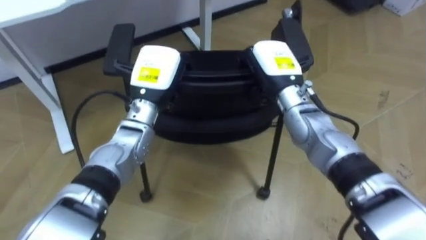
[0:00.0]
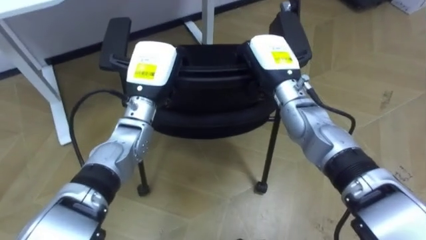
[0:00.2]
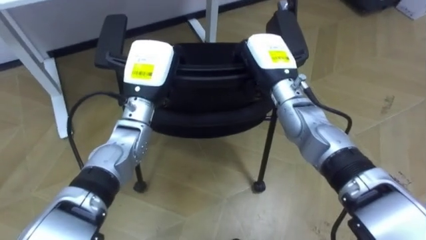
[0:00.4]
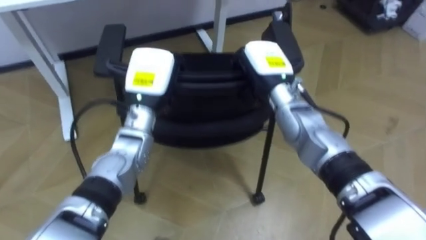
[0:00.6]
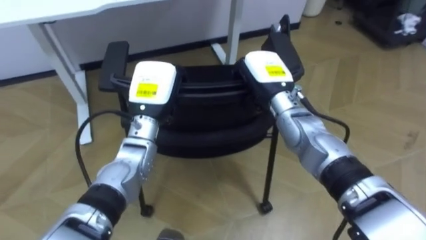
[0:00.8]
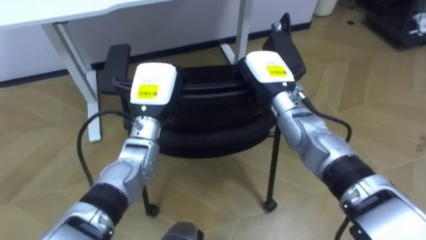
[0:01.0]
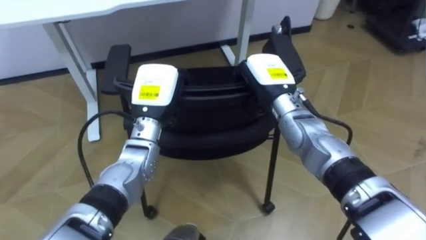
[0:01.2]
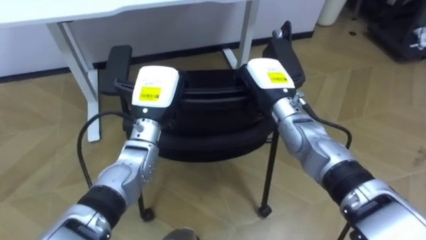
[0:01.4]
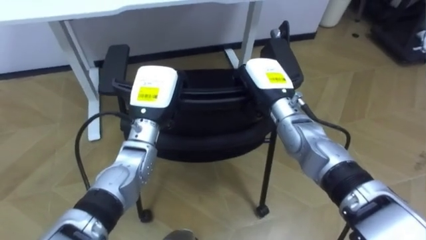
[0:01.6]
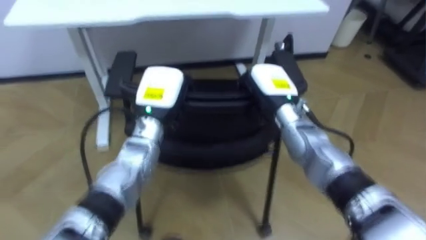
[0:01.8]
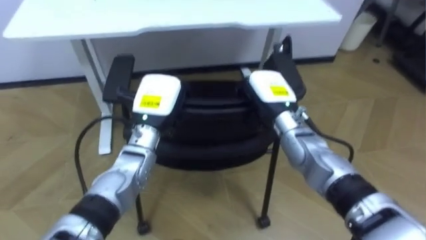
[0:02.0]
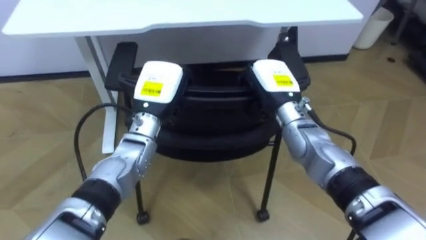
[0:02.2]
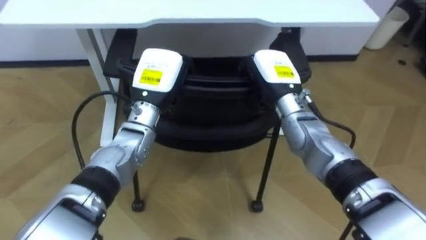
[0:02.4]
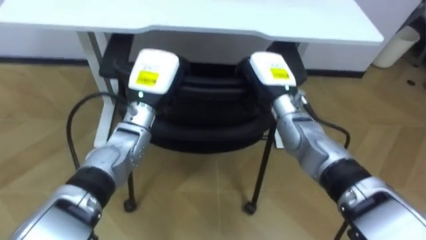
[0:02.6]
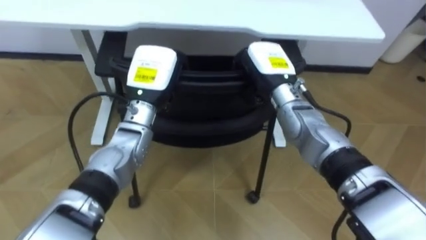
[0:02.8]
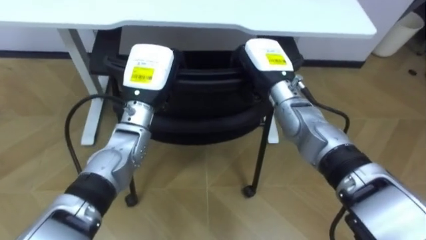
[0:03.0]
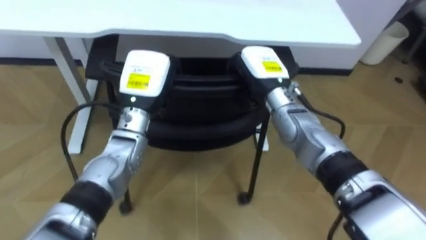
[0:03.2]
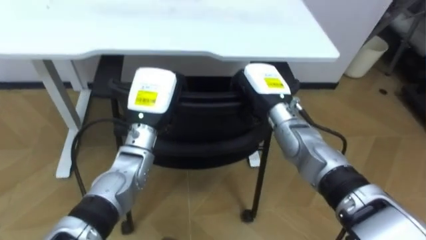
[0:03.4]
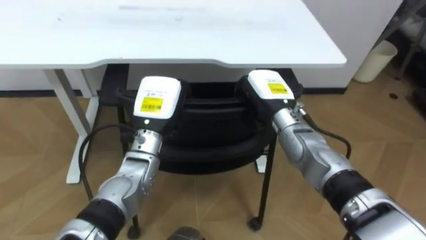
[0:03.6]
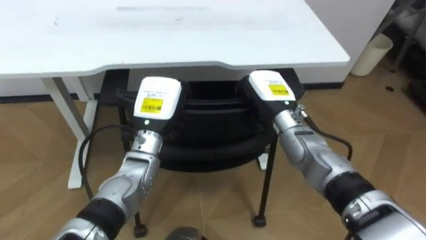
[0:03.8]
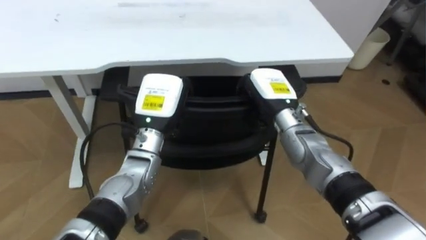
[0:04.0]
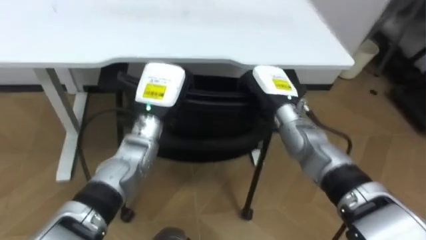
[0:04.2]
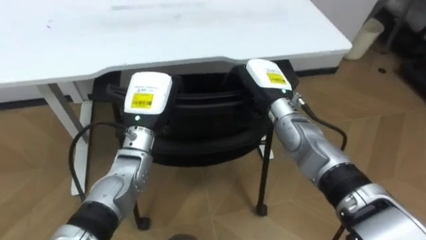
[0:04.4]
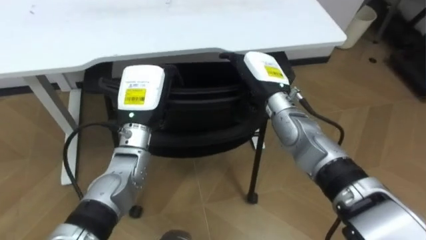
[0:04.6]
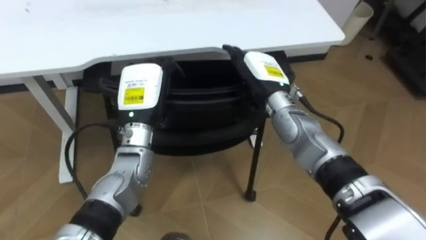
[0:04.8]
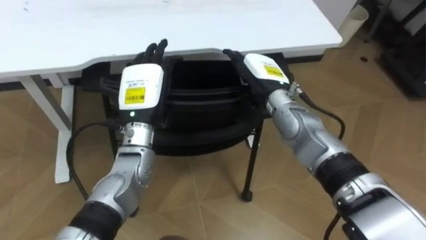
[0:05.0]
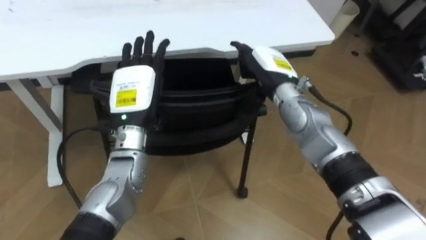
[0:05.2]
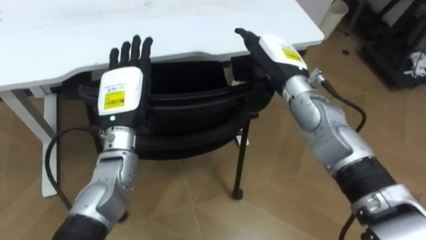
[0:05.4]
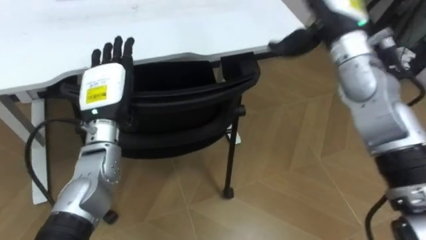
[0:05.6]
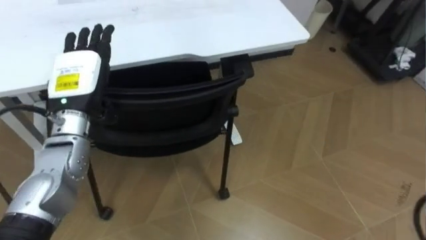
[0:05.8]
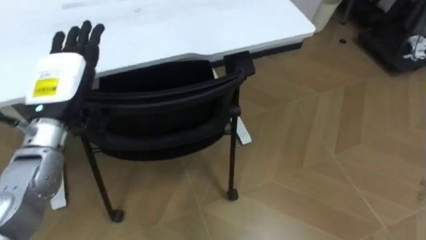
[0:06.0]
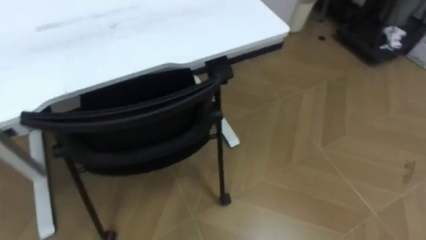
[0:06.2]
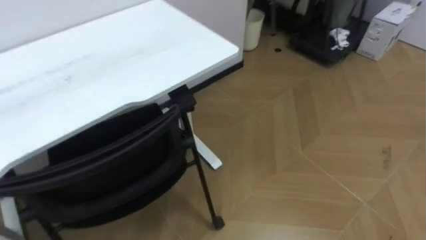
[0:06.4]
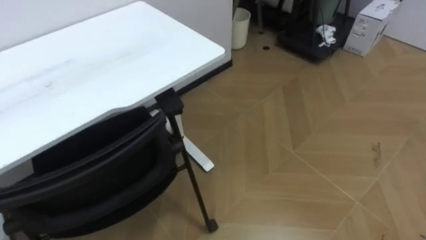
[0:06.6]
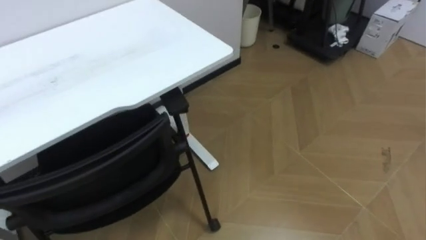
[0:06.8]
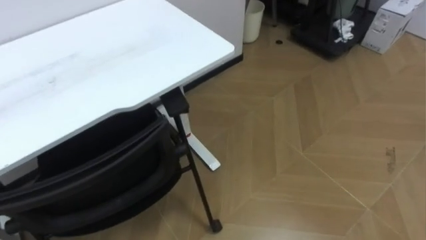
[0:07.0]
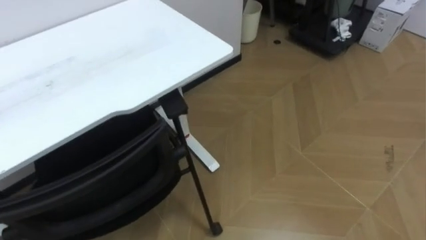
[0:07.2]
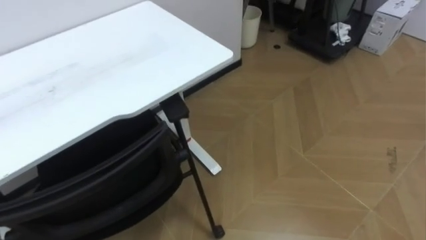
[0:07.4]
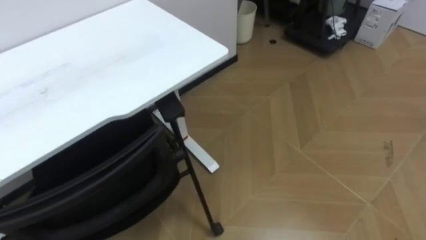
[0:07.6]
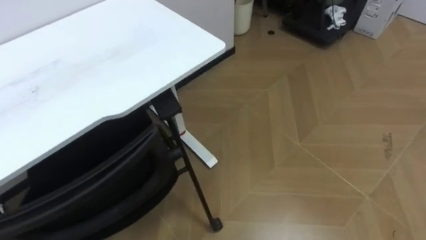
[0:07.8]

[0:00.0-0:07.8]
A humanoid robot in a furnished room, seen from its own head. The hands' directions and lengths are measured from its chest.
Task of the whole recording: Push the chair under the table.
0:03.2 to 0:04.6: The right hand opens up.

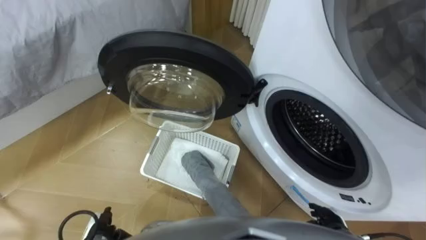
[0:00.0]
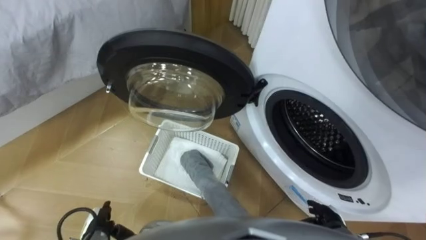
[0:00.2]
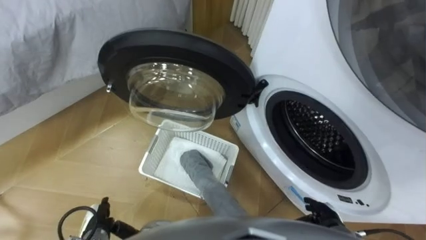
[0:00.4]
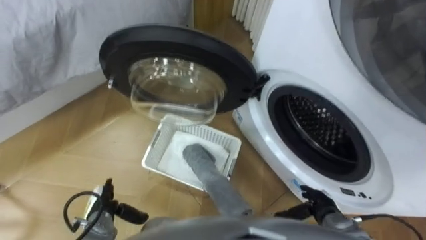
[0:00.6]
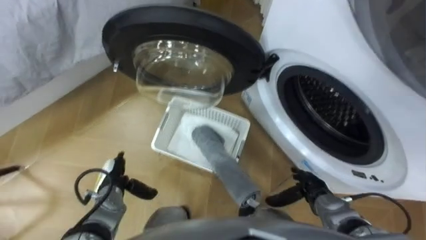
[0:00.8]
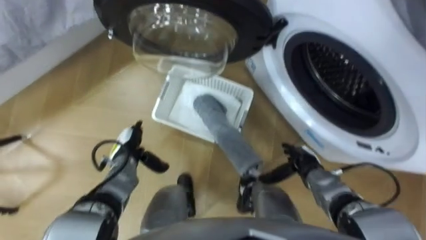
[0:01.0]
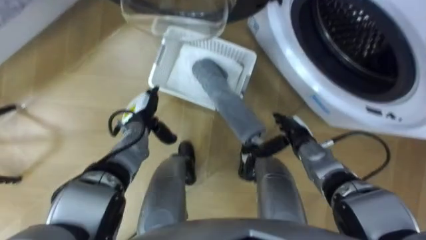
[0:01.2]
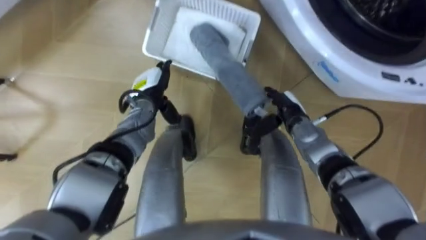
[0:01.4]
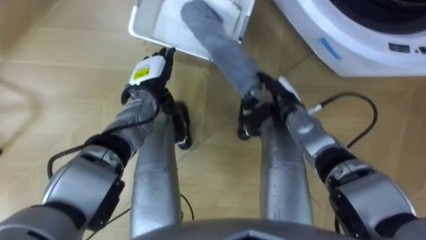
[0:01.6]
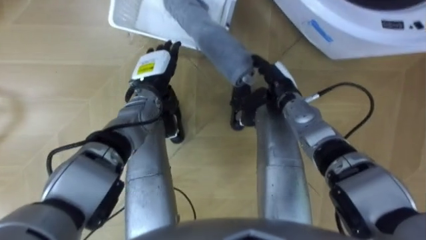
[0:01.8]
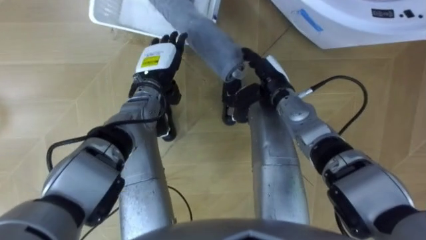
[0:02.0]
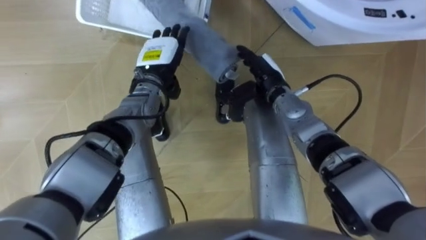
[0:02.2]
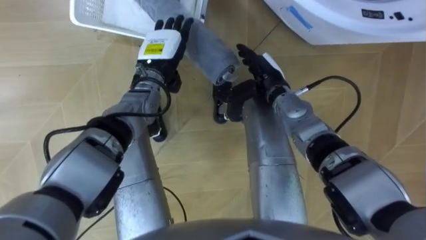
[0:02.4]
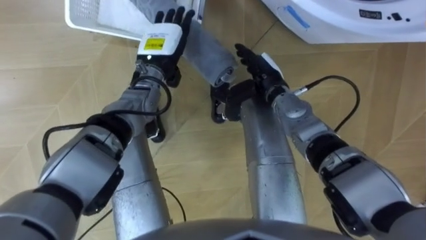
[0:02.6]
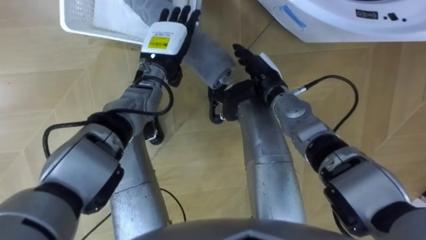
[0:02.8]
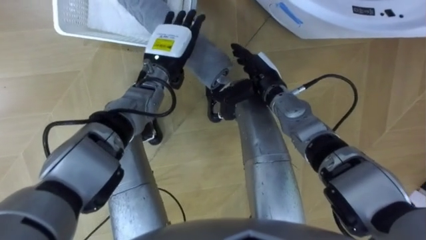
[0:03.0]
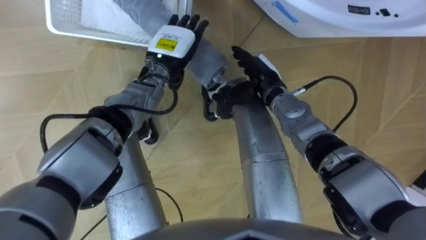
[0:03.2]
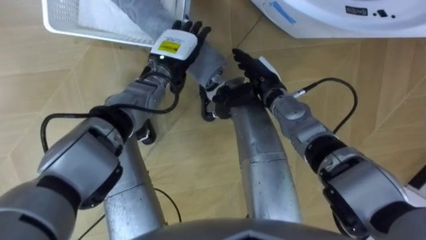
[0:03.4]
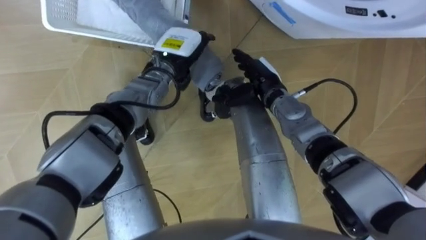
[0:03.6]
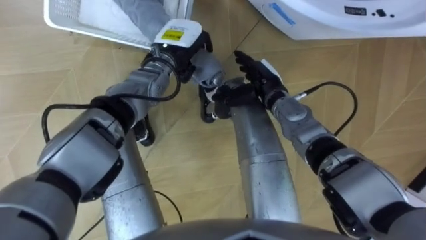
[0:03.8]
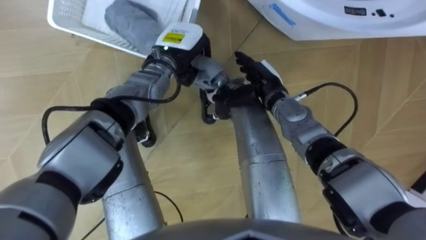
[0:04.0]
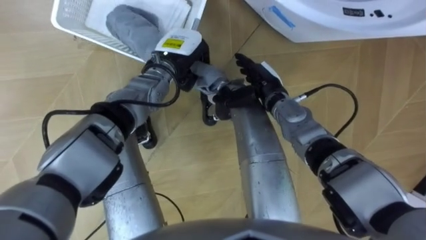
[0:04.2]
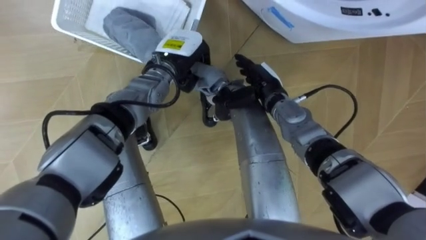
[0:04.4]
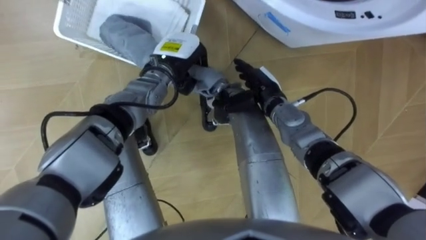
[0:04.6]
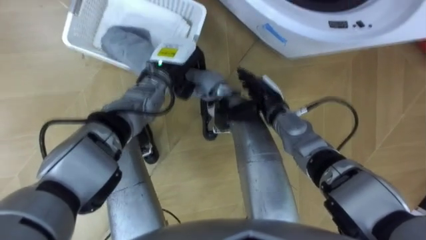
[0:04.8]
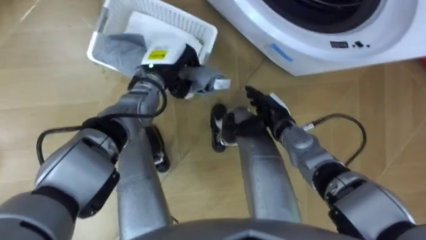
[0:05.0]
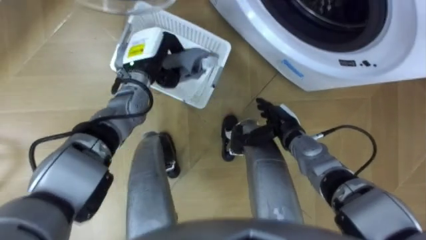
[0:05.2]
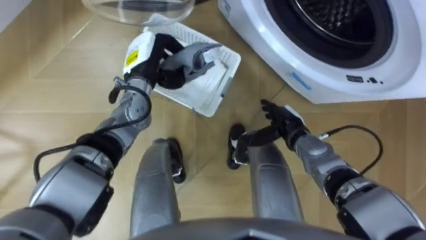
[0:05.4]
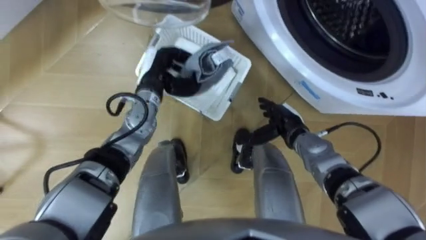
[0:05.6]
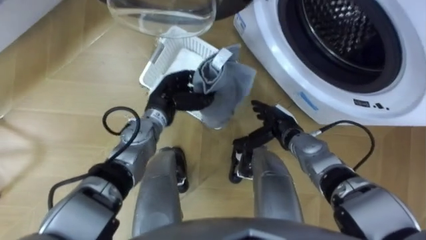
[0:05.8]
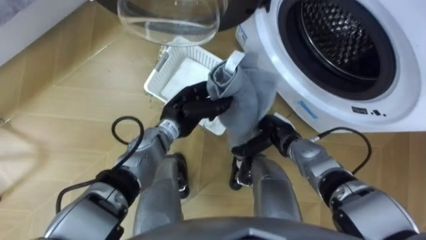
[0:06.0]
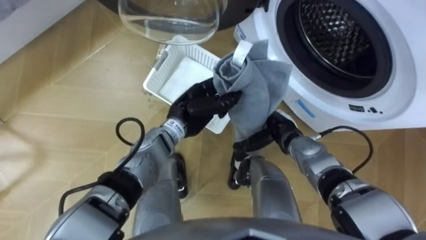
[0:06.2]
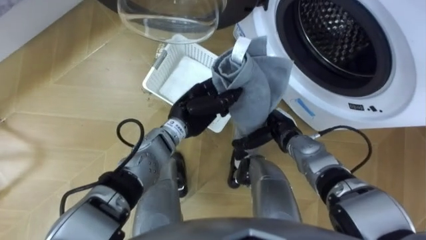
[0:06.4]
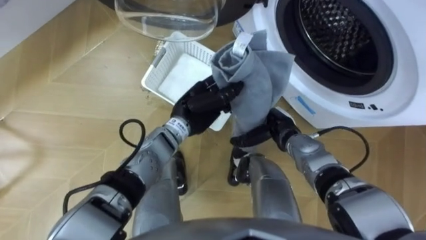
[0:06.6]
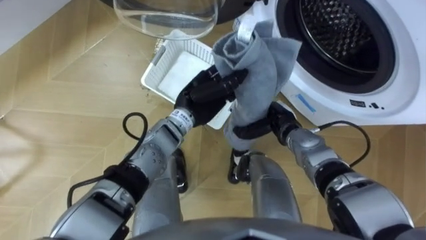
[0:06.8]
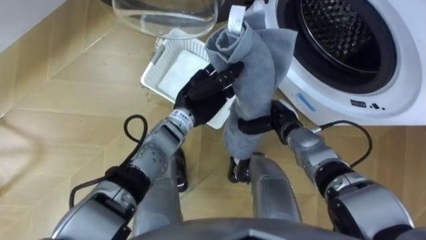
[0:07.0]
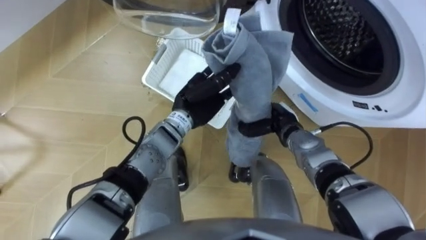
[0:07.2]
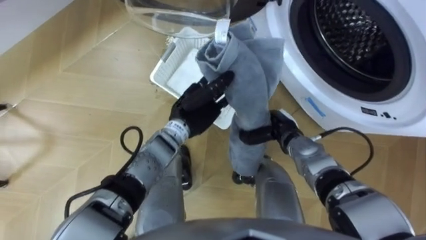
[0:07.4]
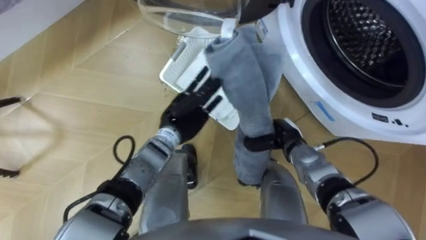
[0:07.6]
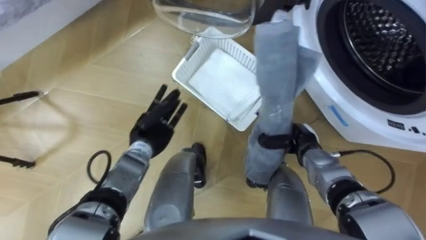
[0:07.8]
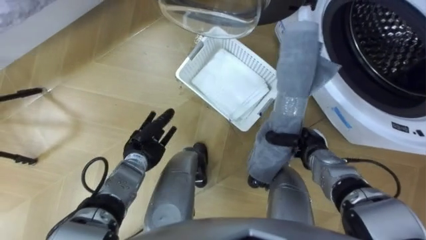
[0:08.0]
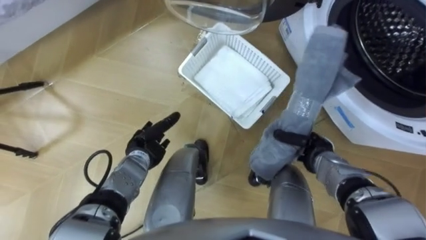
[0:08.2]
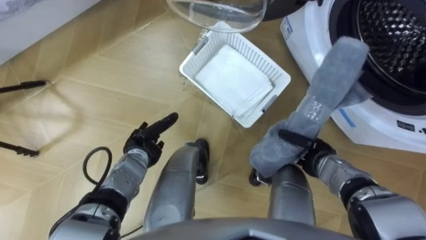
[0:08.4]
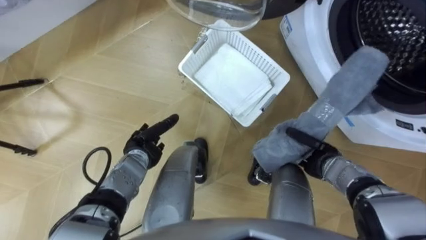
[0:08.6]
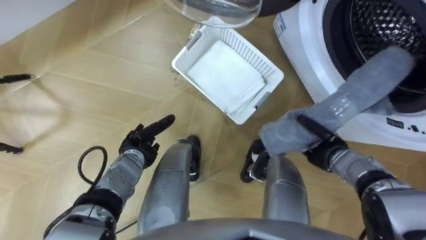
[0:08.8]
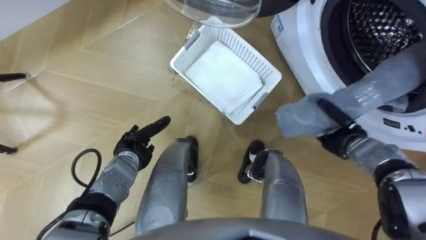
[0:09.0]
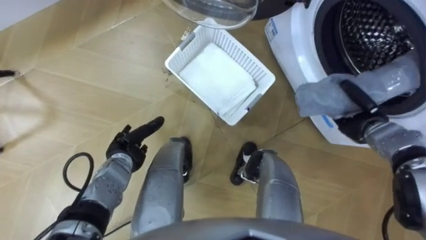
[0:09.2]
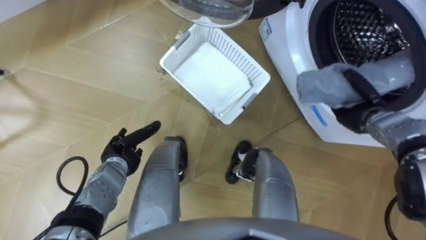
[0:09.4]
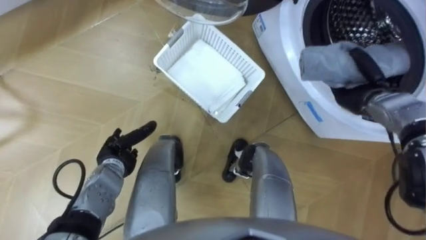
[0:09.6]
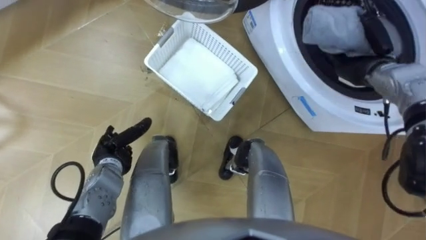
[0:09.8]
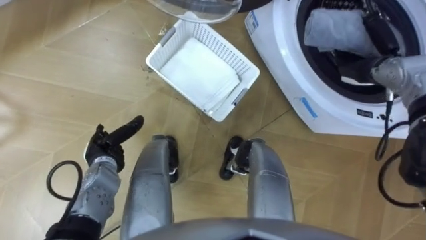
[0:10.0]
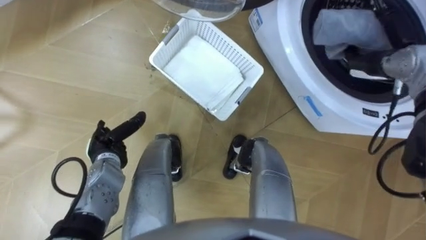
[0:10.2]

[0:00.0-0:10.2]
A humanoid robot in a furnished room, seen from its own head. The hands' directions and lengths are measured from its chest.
Task of the whole recording: Take the towel from the basket and put it into the washing machine.
0:01.4 to 0:03.0: The right hand travels to the left and upward by roughly 10 cm; the left hand goes approximately 10 cm upward and to the right.
0:03.0 to 0:04.4: The left hand closes.
0:04.4 to 0:05.8: The left hand heads backward and downward, covering approximately 10 cm. Meanwhile the right hand shifts roughly 10 cm downward and backward.
0:05.8 to 0:07.2: The right hand closes up; the left hand moves to the right, approximately 5 cm.
0:07.2 to 0:08.8: The right hand heads to the right and backward, covering approximately 10 cm; the left hand shifts some 20 cm to the left, downward and backward, and opens its fingers.
0:08.8 to 0:10.2: The left hand shifts about 5 cm to the left. Meanwhile the right hand travels upward, forward and to the right by about 20 cm, and opens up.
